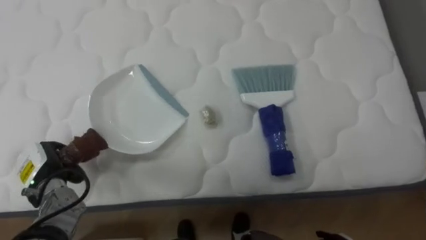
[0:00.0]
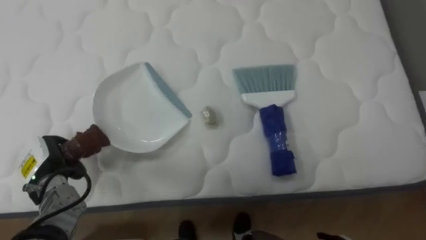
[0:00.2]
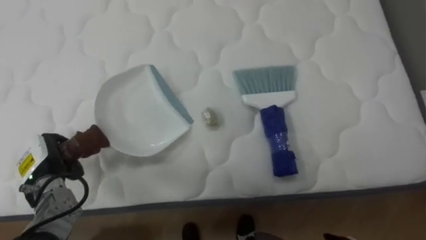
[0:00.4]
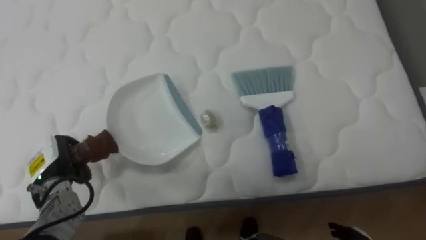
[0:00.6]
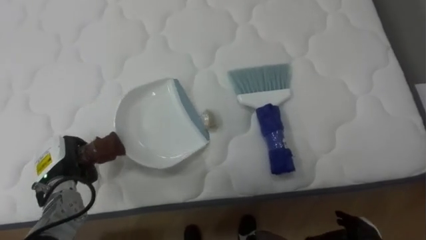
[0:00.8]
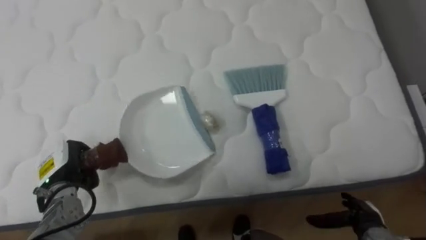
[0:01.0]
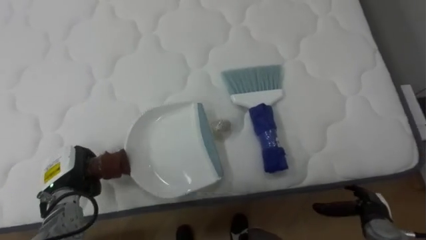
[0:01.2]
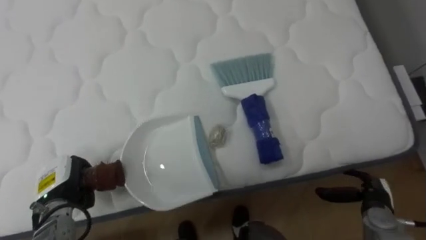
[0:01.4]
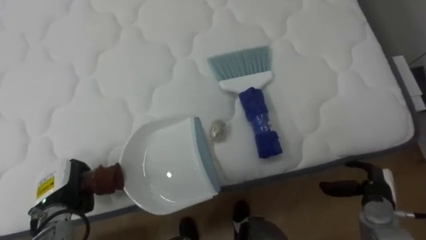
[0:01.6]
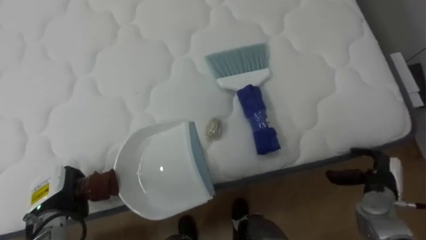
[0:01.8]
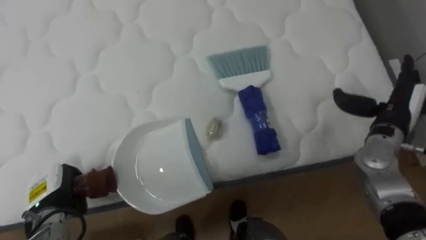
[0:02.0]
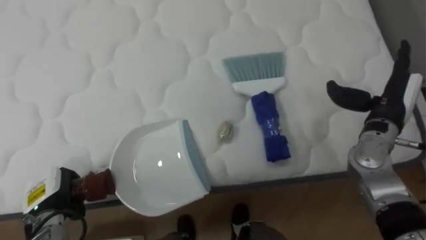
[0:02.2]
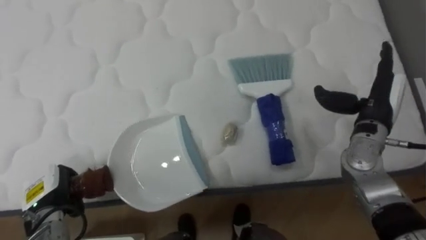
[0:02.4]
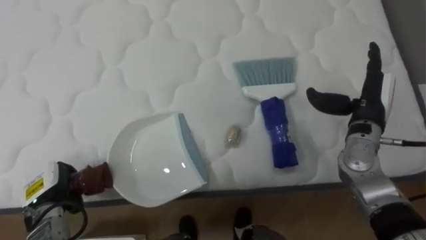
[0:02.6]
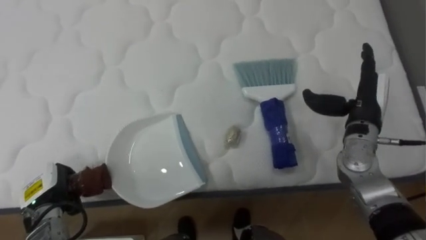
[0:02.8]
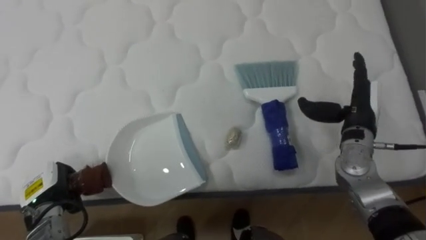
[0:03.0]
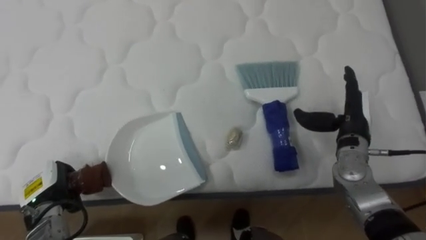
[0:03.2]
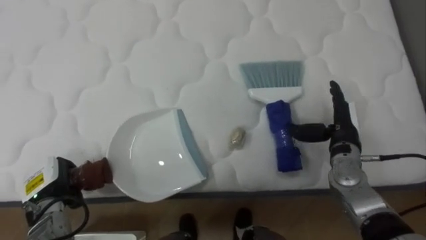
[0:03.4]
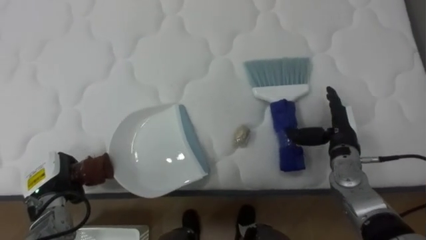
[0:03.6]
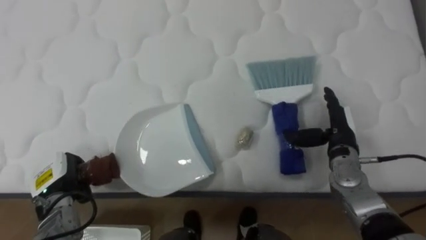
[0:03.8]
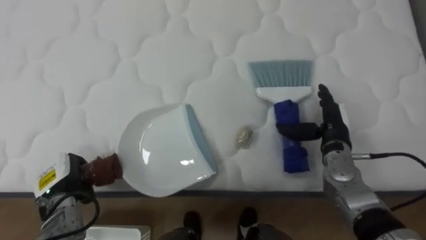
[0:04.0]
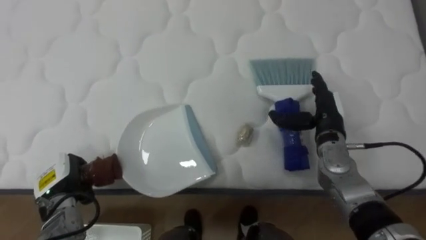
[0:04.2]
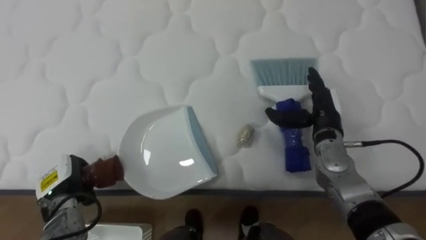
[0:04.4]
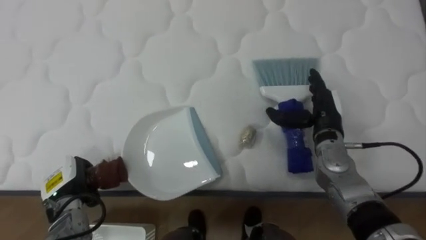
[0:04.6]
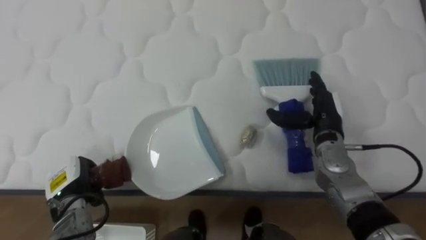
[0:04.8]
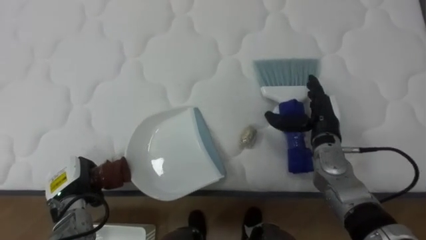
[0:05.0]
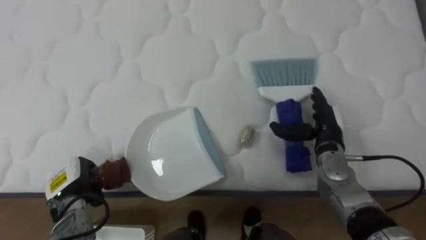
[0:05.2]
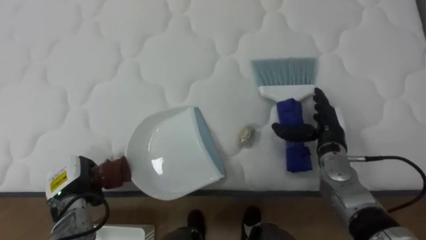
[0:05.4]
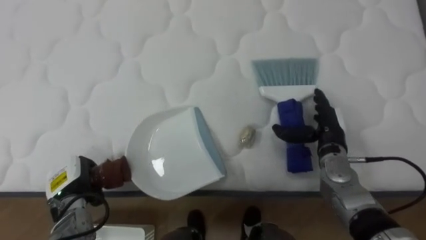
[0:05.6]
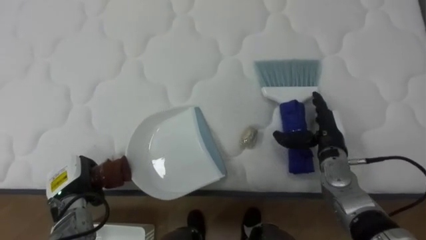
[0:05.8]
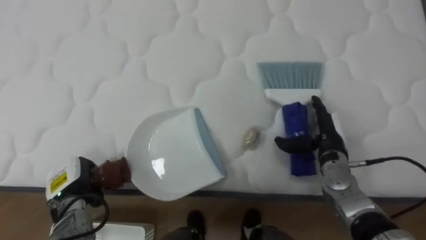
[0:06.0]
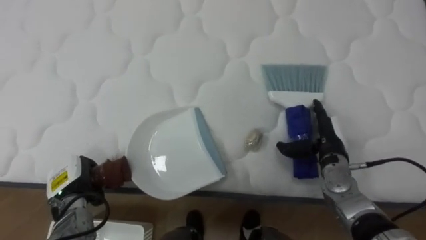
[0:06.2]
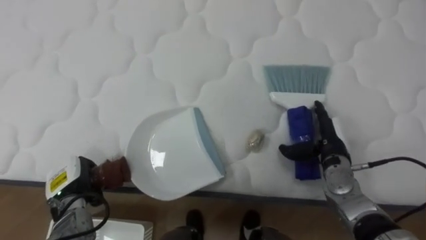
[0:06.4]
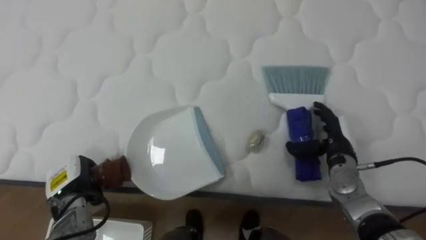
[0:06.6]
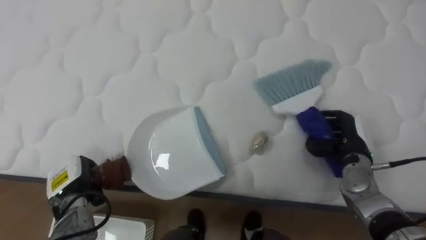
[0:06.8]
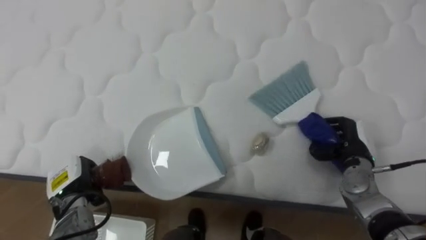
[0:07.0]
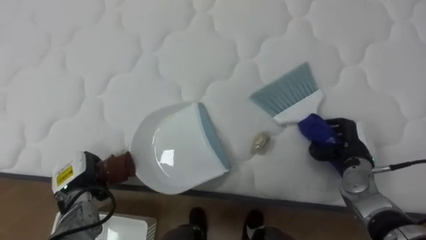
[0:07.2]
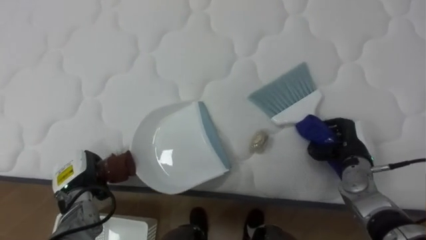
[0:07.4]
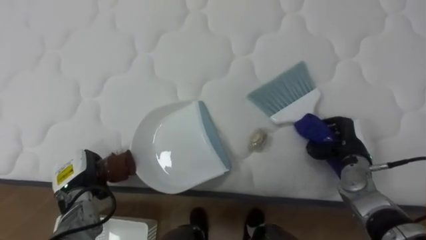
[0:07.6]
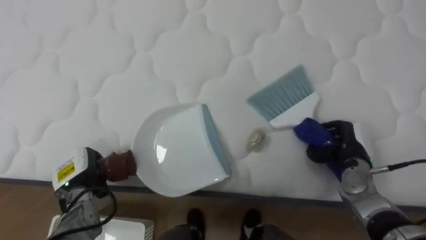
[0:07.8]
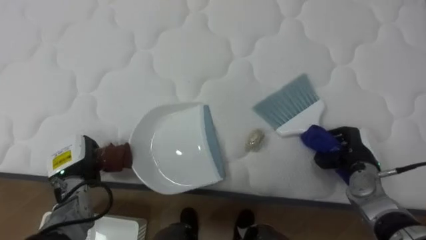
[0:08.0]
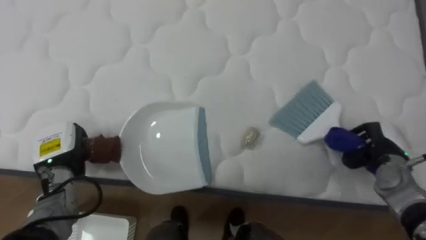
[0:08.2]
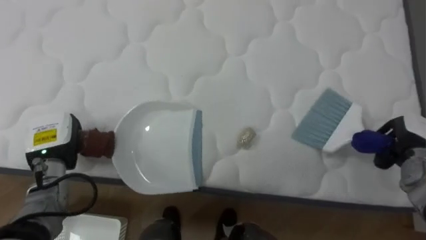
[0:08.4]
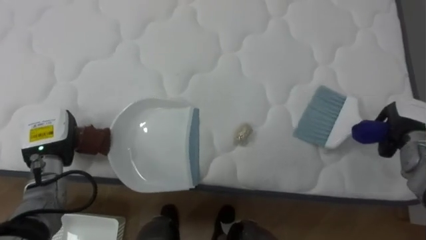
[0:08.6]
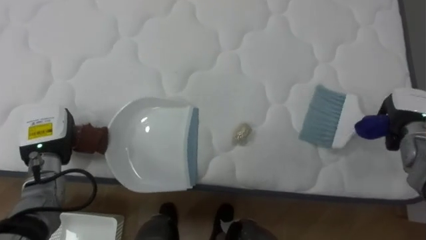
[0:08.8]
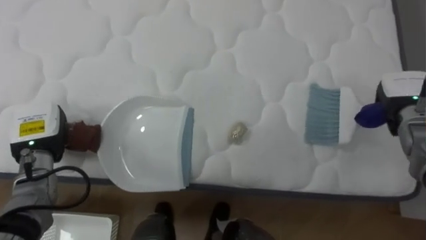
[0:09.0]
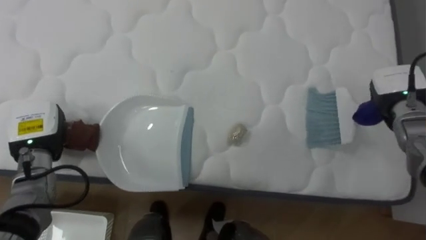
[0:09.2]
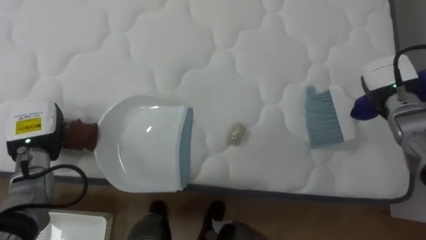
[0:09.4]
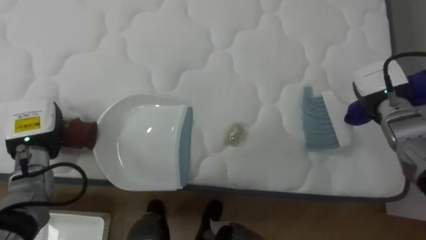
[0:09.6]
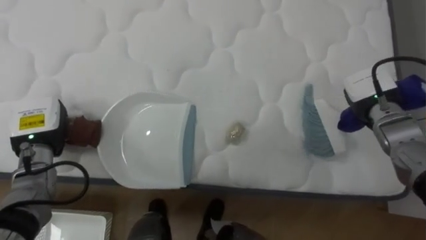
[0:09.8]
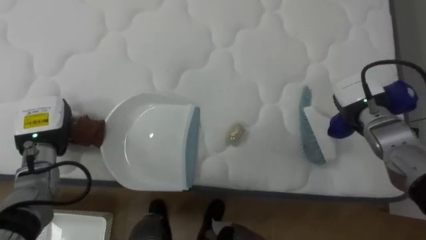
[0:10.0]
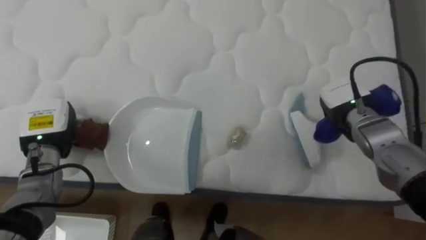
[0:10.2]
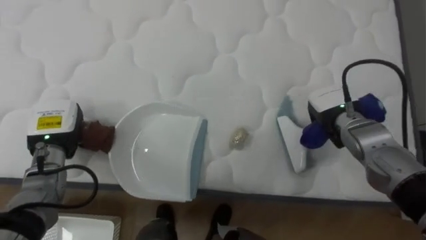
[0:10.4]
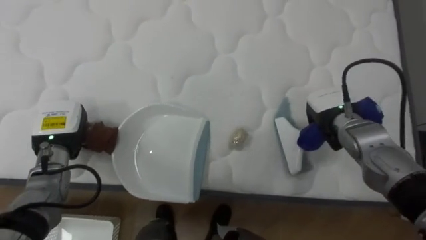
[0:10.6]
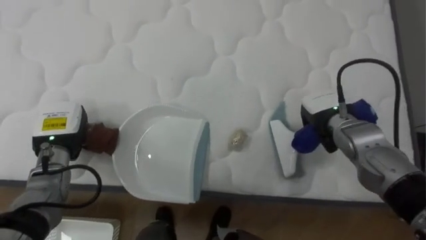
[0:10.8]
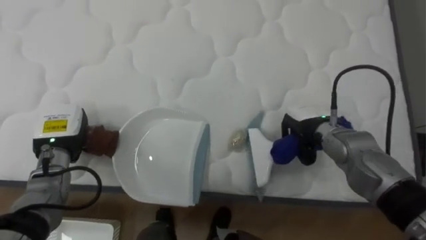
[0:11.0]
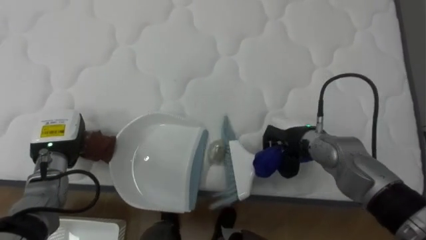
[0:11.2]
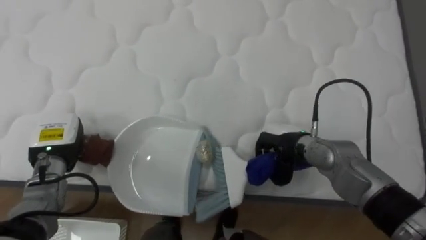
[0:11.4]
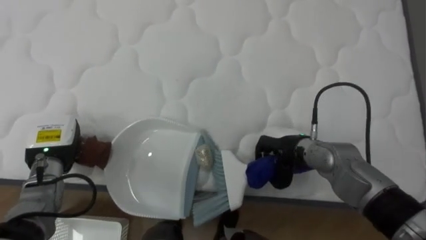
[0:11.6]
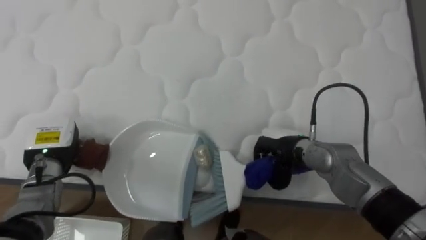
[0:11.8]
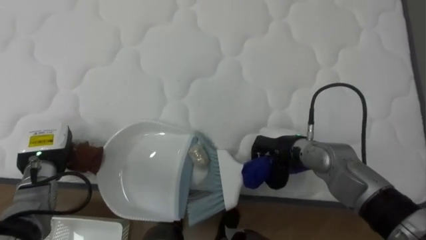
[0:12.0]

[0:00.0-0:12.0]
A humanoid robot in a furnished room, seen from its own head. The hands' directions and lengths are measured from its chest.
Task of the whole recording: Pick up the brush on your right and the dustpan on your left. Use the brush to sweep the crumpled paper on the bed into the dustpan, then turn left and empty it into the basket.
0:01.6 to 0:03.0: The right hand moves upward, forward and to the left, roughly 20 cm.
0:03.0 to 0:04.4: The right hand heads to the left, covering approximately 5 cm.
0:04.4 to 0:06.0: The right hand goes approximately 5 cm downward.
0:06.0 to 0:07.6: The right hand moves about 5 cm, and closes up.
0:07.6 to 0:09.0: The left hand travels upward by roughly 10 cm. Meanwhile the right hand goes some 15 cm upward, to the right and forward.
0:09.0 to 0:10.4: The right hand is displaced to the left by approximately 15 cm.
0:10.4 to 0:12.0: The right hand is displaced to the left by some 10 cm.

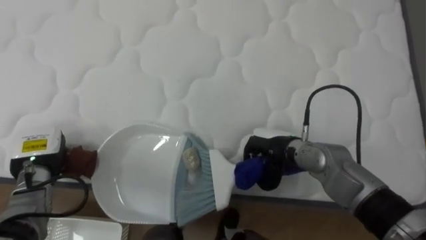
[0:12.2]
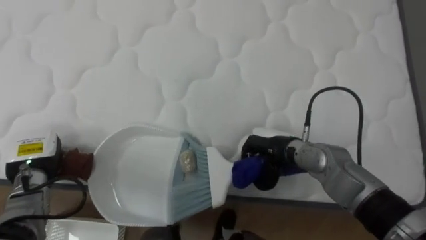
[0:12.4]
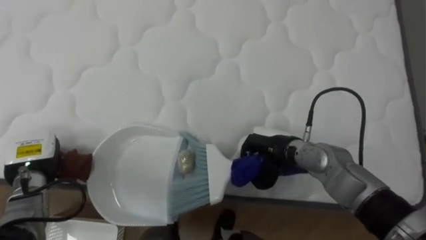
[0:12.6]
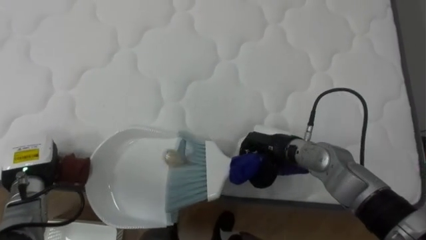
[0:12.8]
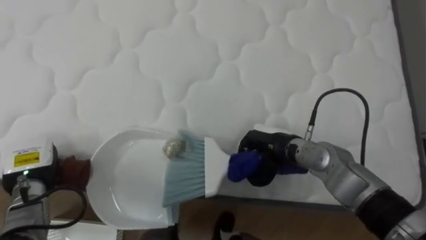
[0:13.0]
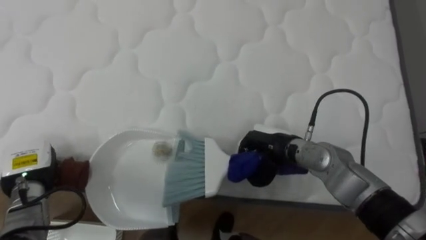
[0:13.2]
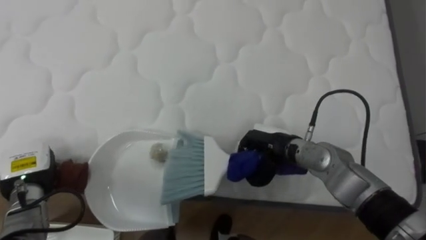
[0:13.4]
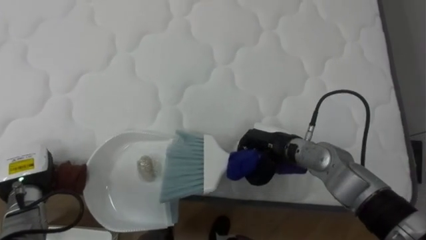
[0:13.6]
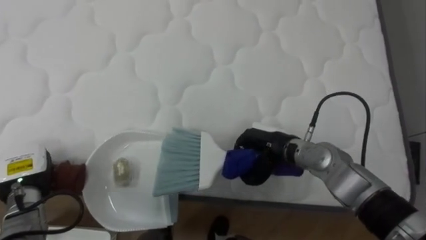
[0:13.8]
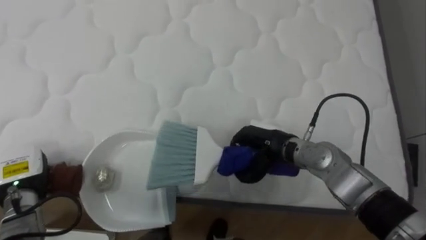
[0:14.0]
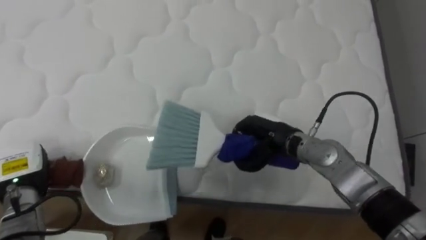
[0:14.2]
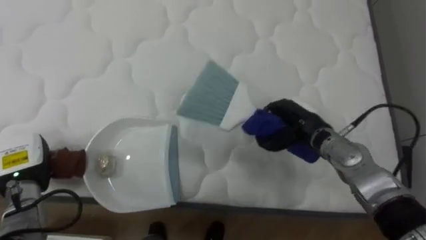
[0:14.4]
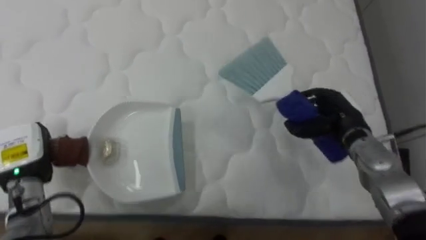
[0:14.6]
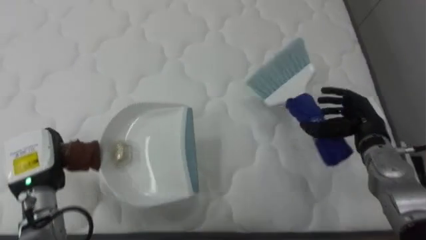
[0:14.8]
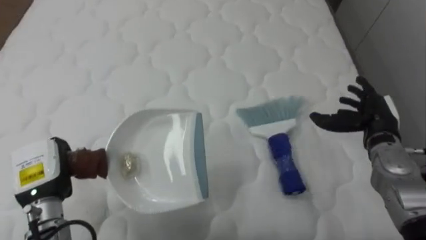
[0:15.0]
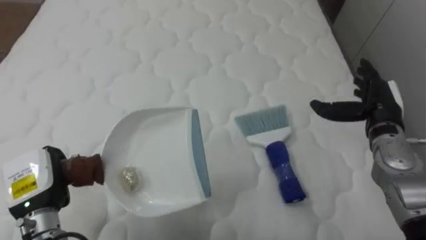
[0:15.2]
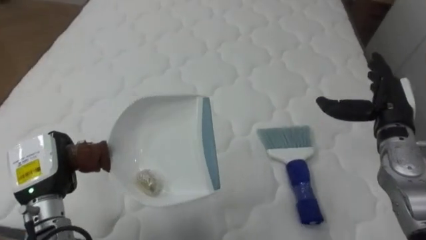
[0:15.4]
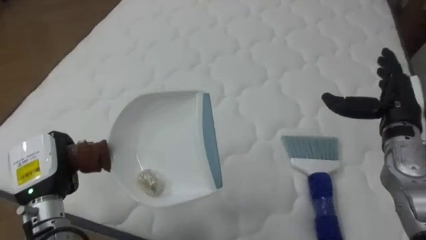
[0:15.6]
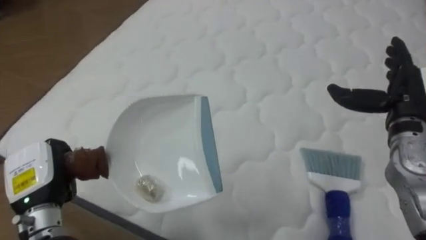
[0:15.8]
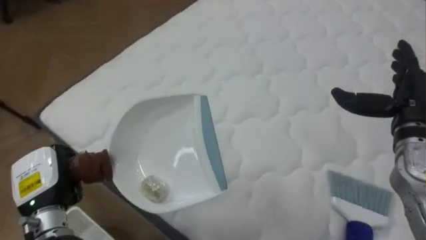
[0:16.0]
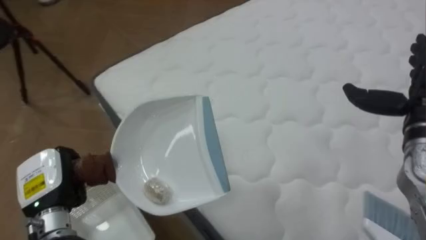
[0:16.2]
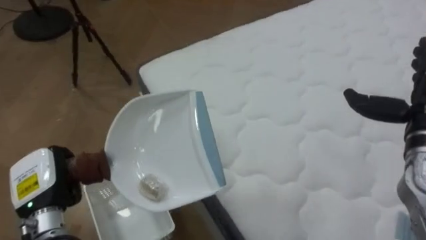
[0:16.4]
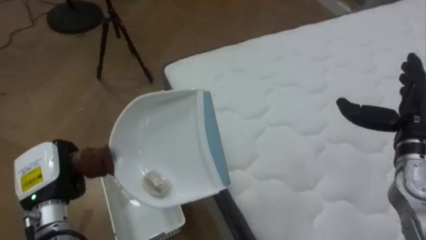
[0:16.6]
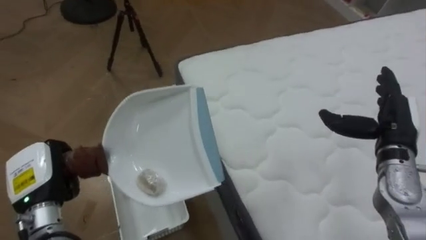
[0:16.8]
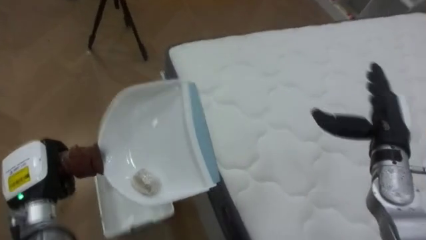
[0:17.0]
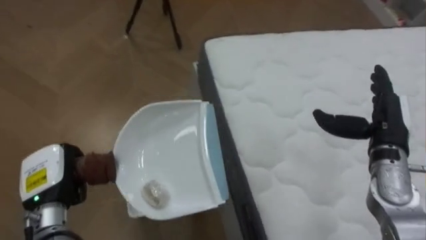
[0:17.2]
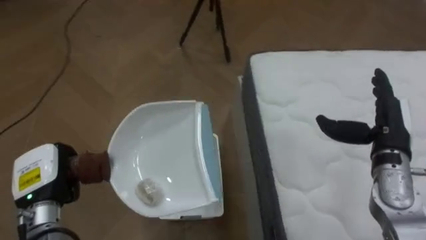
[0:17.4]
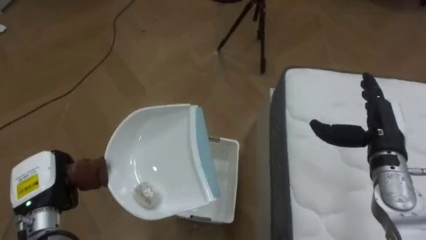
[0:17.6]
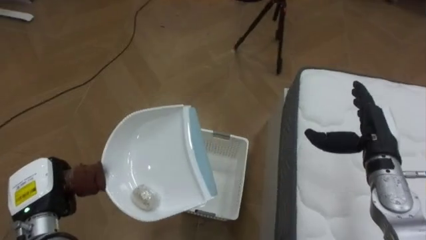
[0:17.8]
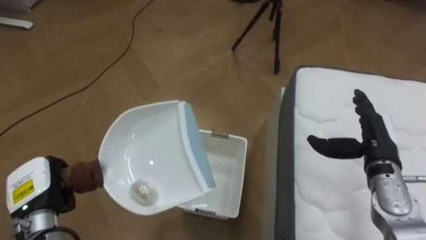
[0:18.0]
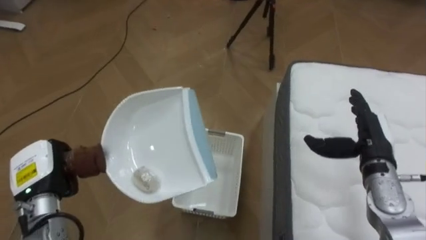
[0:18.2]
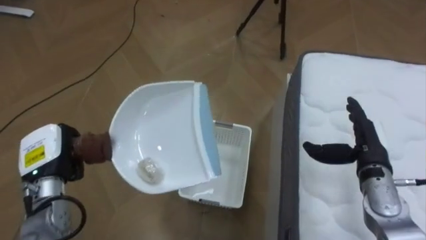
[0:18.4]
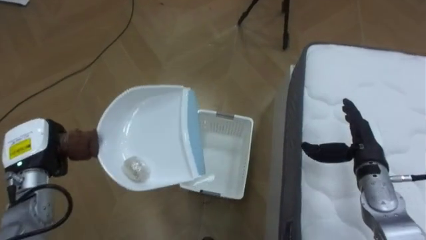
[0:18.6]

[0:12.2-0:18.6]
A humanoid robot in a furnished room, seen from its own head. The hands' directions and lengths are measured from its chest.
Task of the whole recording: Pick up the brush on your right and the dustpan on your left. Use the brush to sweep the crumpled paper on the bed into the dustpan, then turn left and empty it into the basket.
0:13.8 to 0:15.4: The left hand is displaced to the right and upward by roughly 10 cm, while the right hand moves to the right and upward, some 20 cm, and opens up.
0:15.4 to 0:17.0: The robot turns to its left by about 60 degrees.
0:17.0 to 0:18.6: The robot faces about 30 degrees further to its left. The left hand is displaced forward by roughly 5 cm, while the right hand is displaced downward by some 5 cm.
